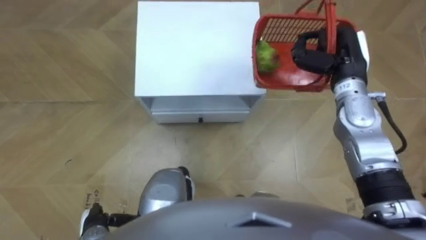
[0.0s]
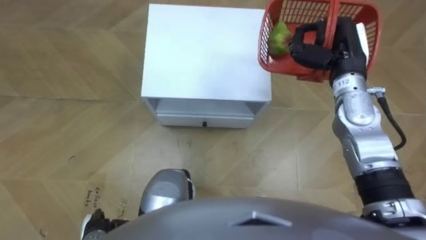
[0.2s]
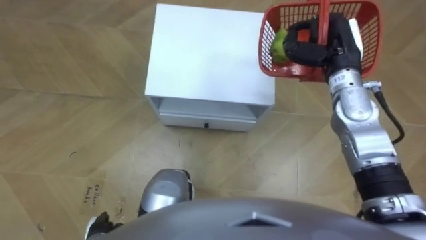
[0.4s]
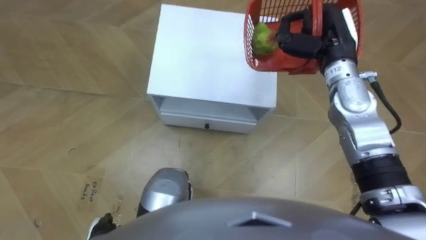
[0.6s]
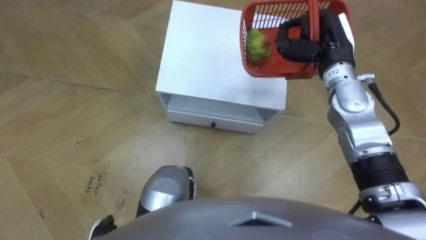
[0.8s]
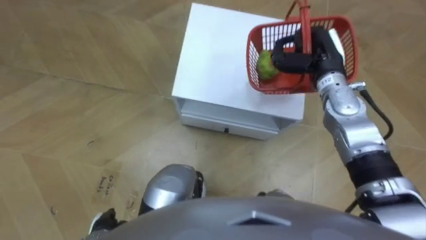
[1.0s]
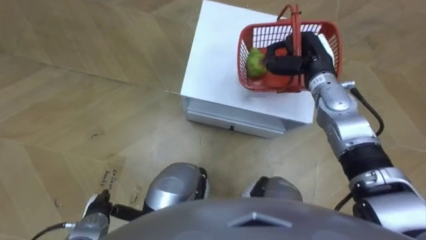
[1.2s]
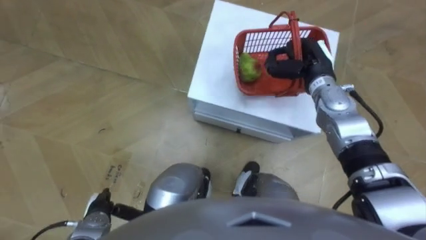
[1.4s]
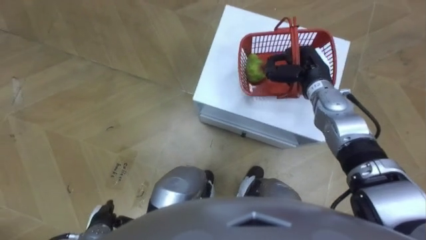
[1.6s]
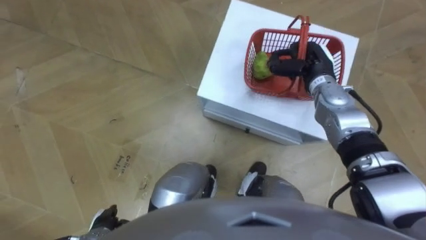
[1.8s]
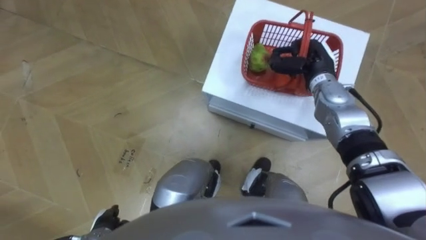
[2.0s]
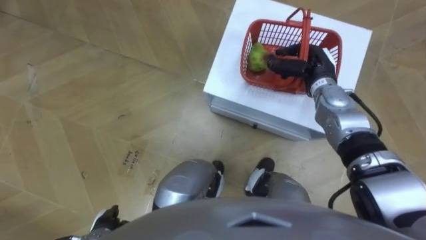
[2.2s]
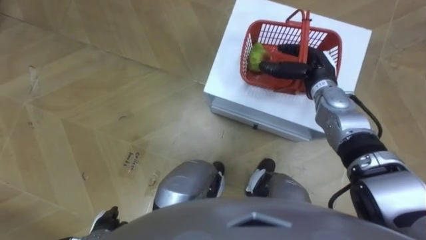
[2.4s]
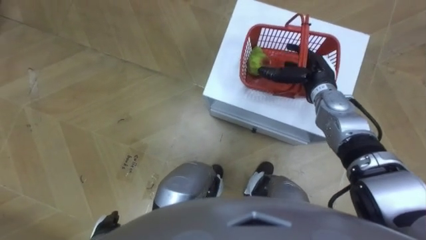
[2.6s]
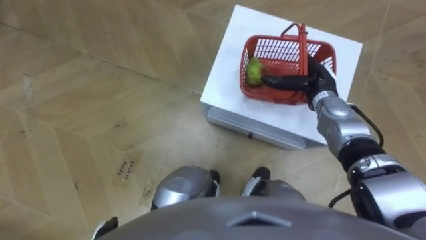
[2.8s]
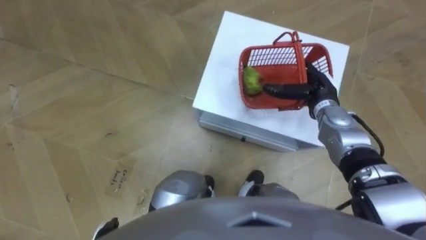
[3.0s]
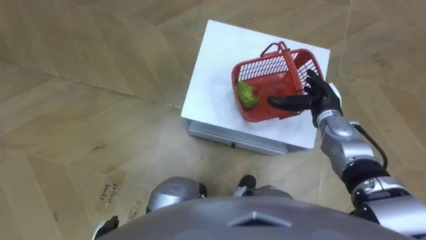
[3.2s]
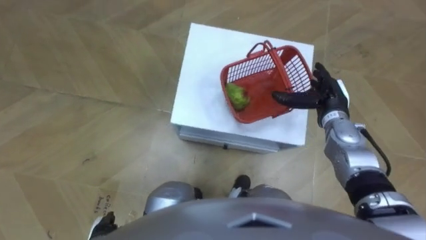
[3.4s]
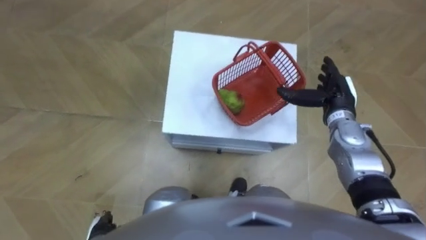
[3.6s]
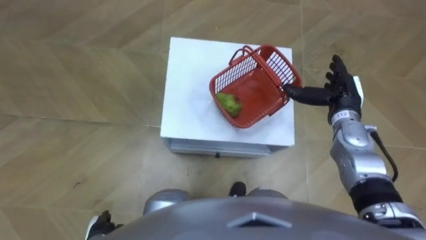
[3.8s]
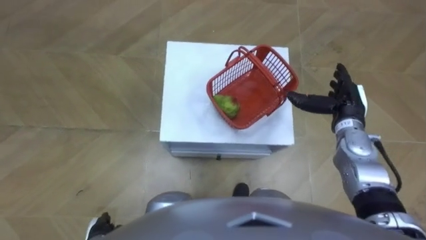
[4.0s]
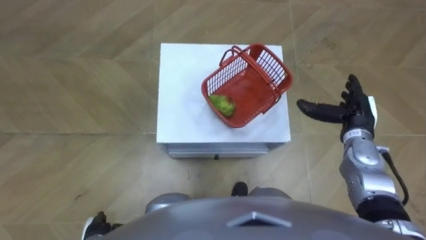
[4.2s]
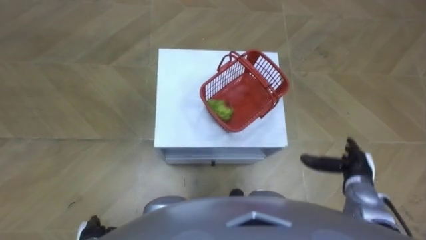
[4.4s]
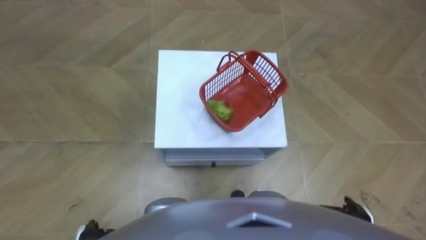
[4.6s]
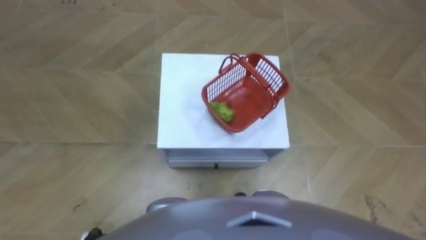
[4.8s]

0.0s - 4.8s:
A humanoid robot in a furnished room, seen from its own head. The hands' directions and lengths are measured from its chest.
Task of the whole recording: Pick up the fruit basket from the floor and place it on the cabinet.
0.0s - 1.6s: The right hand goes approximately 5 cm downward.
1.6s - 3.2s: The right hand goes some 5 cm backward and downward, and opens.

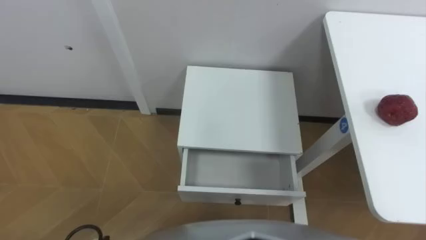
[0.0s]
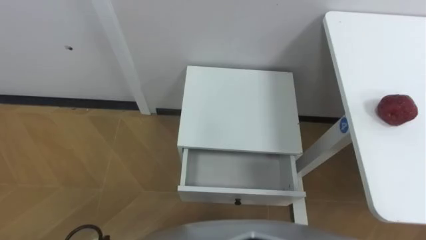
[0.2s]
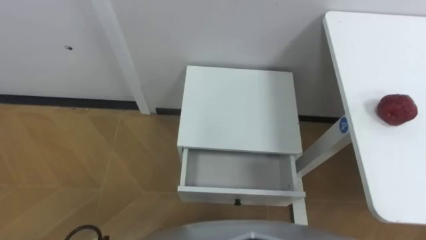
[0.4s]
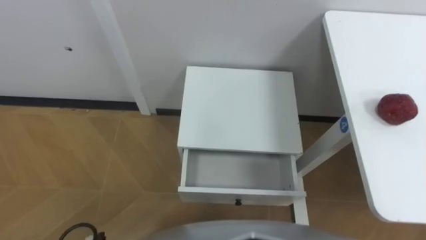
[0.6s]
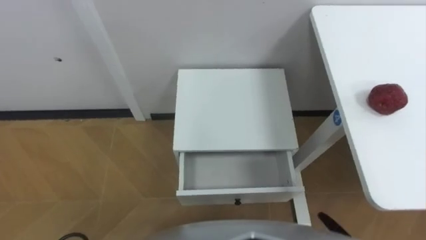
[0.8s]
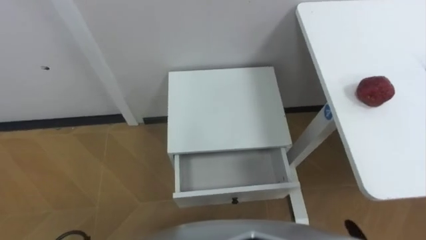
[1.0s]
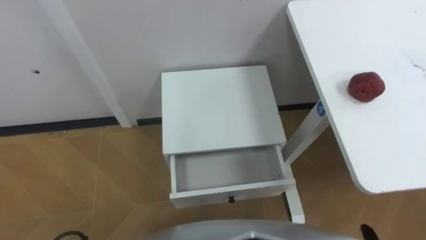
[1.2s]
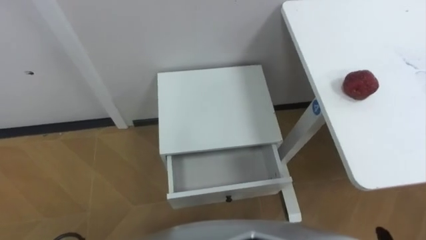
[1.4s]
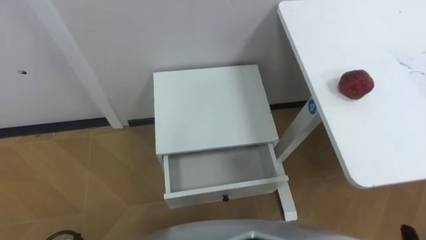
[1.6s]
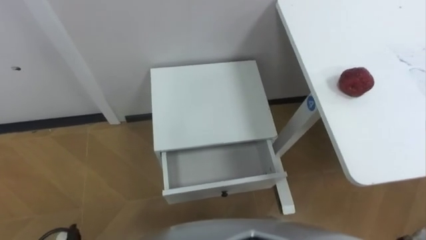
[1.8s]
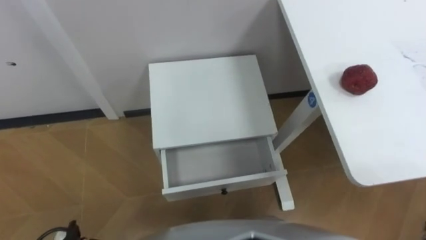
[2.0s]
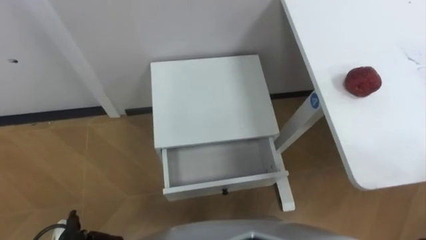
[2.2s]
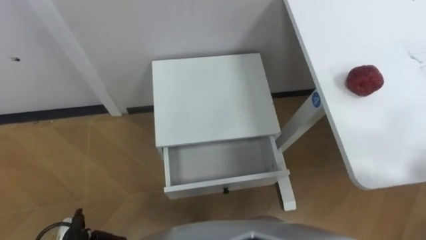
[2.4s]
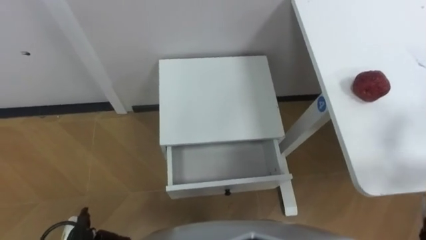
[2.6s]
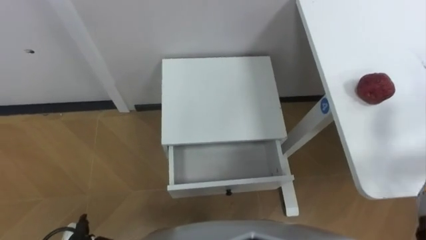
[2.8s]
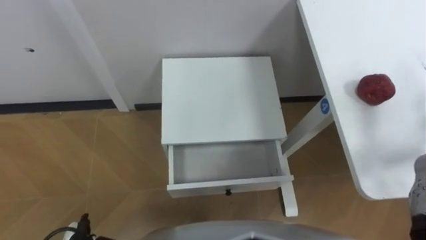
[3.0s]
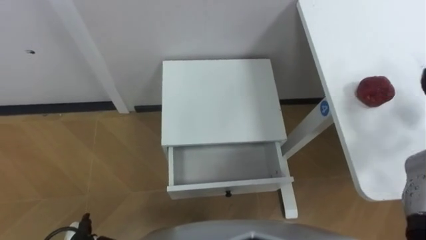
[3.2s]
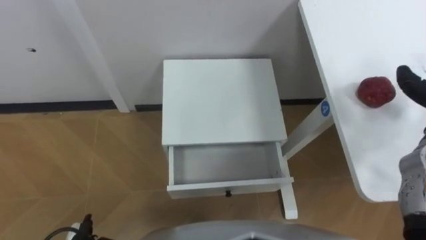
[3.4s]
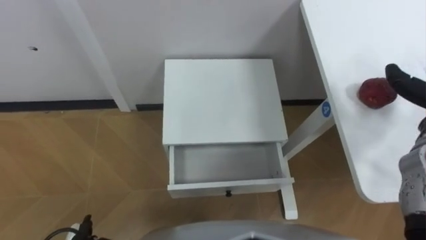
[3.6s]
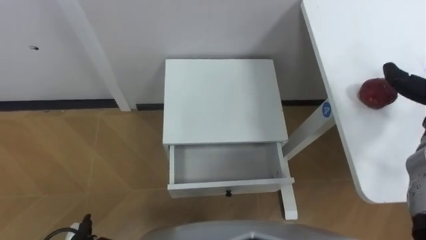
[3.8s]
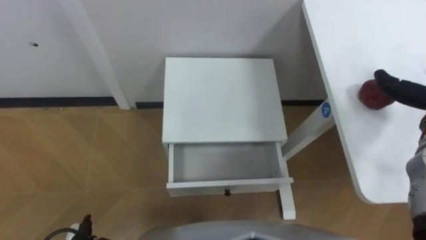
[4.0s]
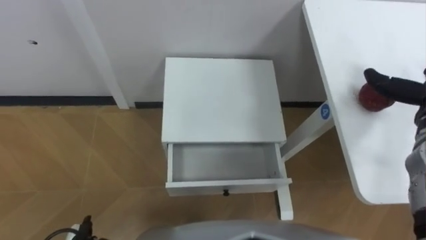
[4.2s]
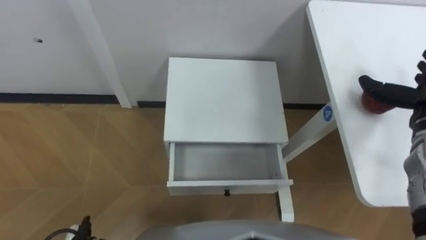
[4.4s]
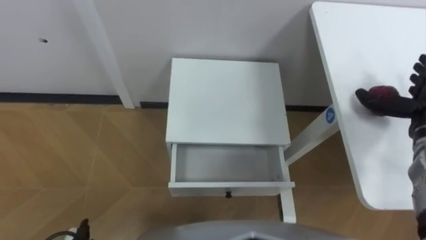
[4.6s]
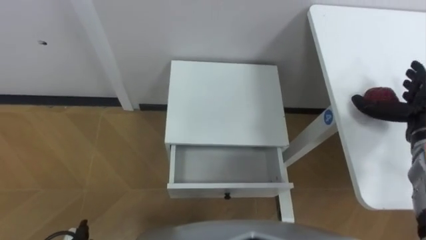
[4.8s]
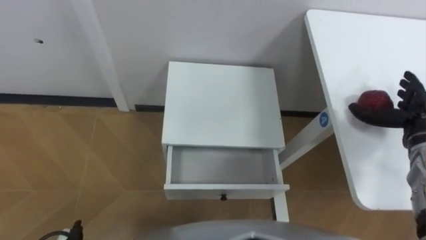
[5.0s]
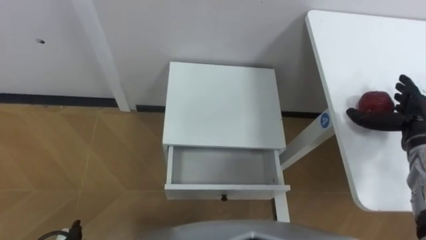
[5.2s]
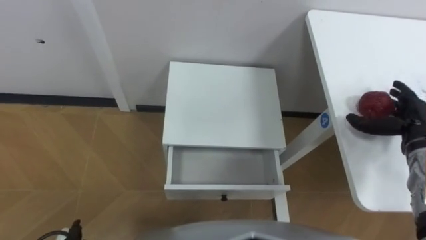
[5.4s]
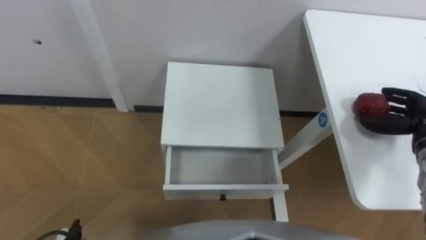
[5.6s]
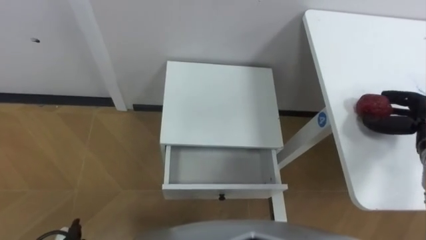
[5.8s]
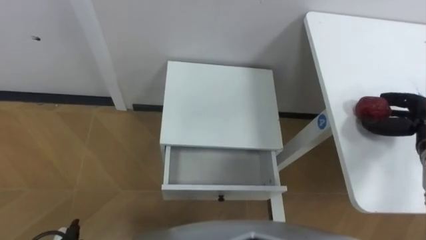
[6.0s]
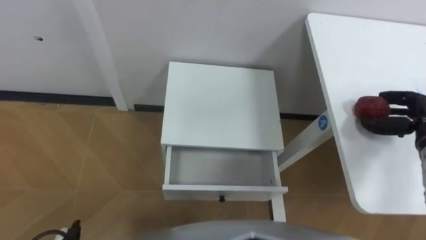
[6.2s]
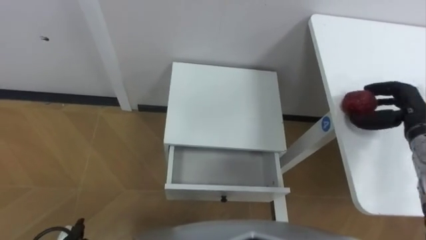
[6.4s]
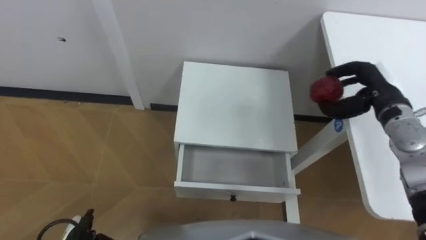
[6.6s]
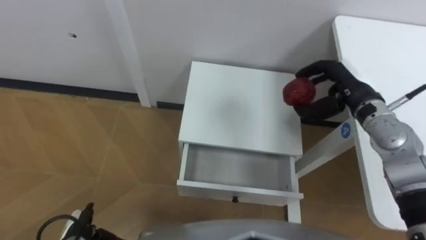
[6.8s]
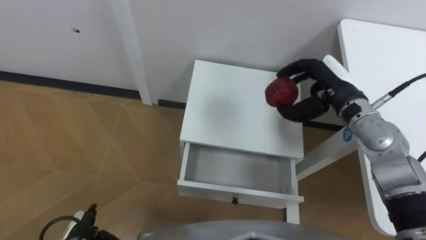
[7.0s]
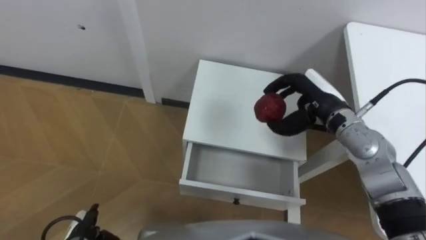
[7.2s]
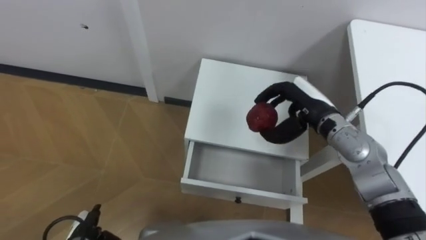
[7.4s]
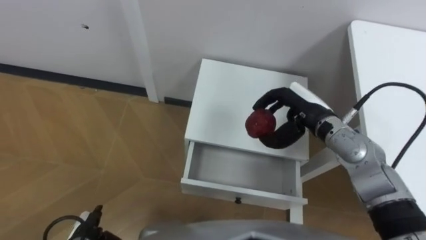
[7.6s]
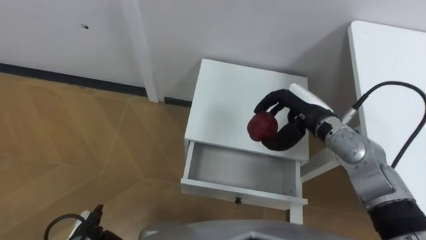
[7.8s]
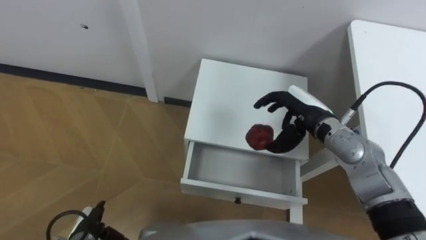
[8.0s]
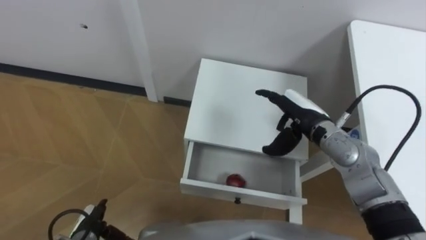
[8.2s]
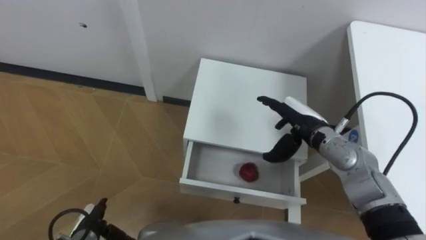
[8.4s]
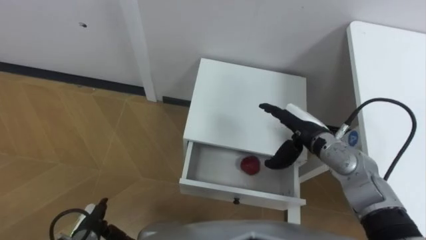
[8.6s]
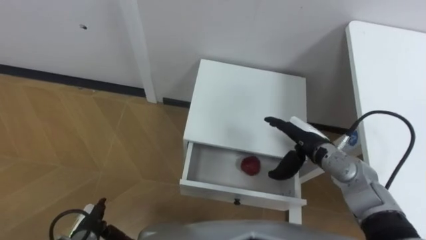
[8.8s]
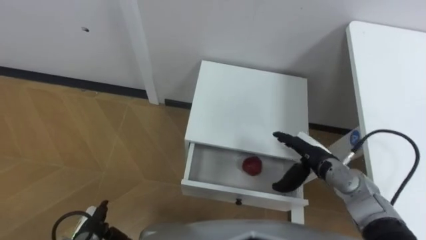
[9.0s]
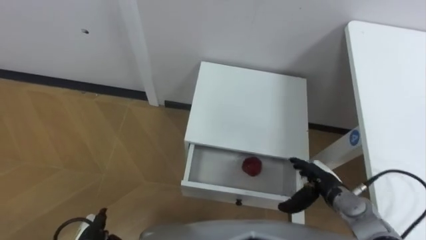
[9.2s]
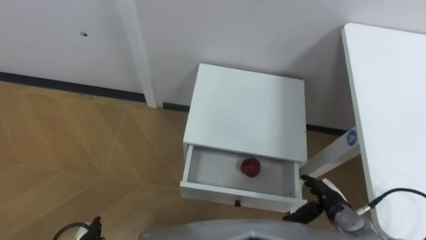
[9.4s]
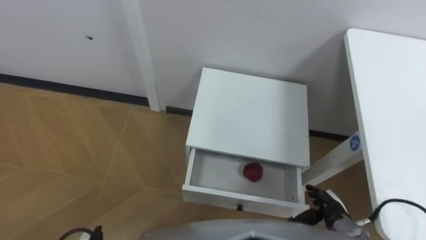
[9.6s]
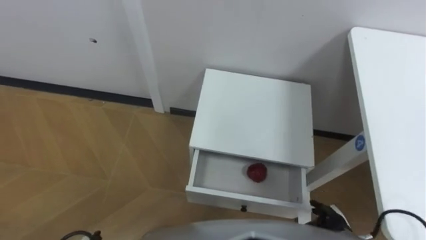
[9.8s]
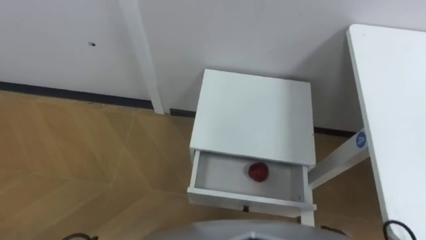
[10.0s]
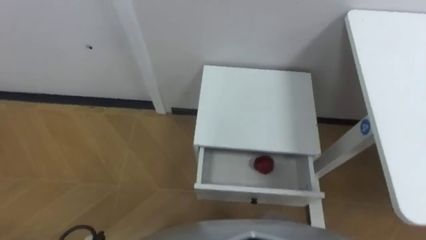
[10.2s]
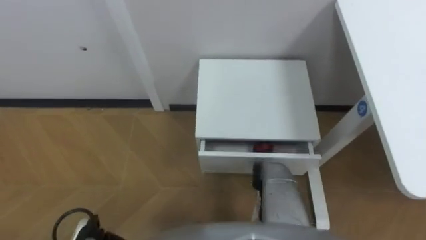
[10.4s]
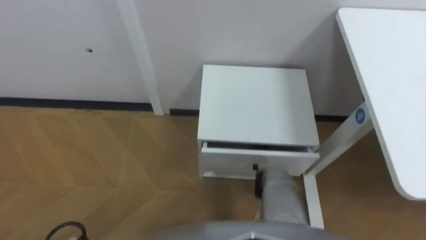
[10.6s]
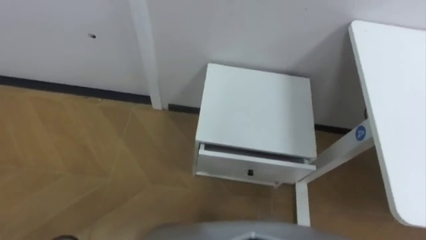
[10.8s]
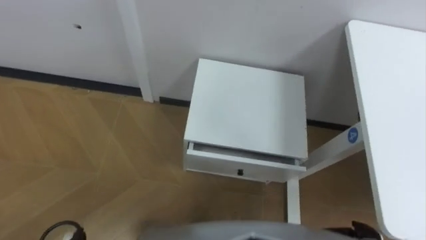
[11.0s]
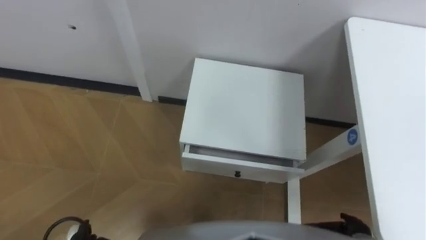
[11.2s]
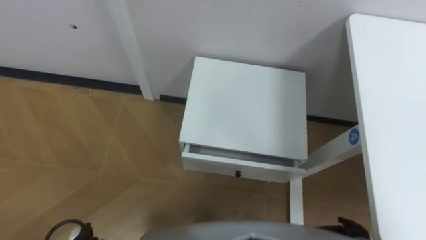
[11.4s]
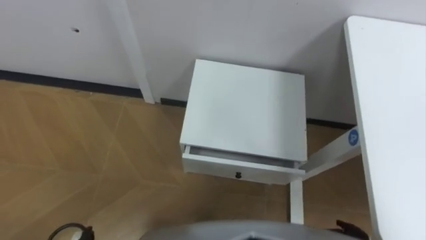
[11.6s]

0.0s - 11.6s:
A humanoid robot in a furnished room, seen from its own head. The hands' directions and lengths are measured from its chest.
Task of the whole recording: Pick up the apple from the table, put it in the drawer, and close the drawer with leg.
5.8s - 7.2s: The right hand travels to the left by some 20 cm.
7.2s - 8.8s: The right hand moves downward and backward, roughly 10 cm, and opens.
